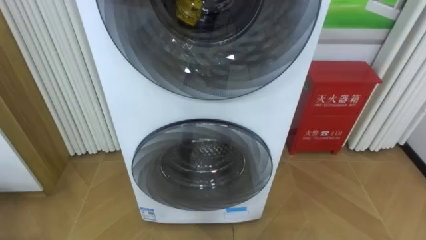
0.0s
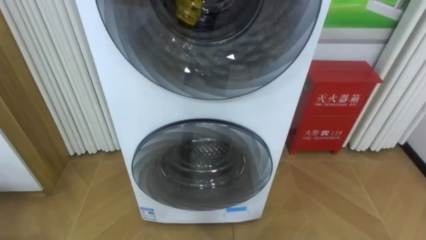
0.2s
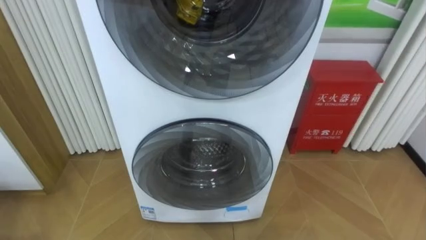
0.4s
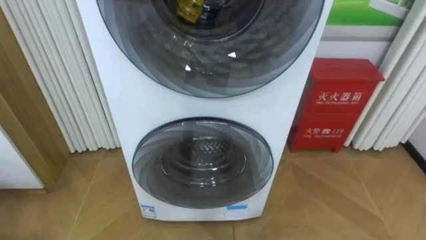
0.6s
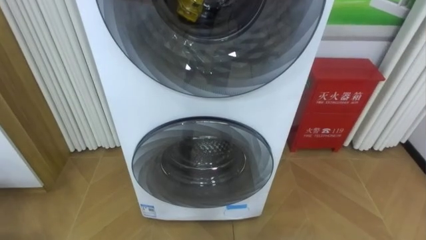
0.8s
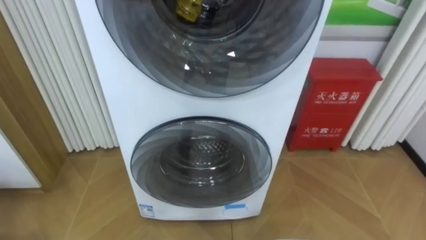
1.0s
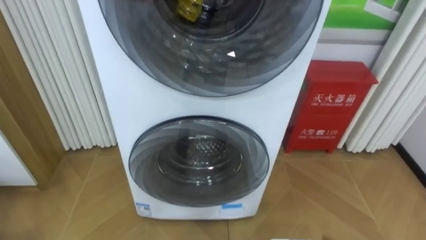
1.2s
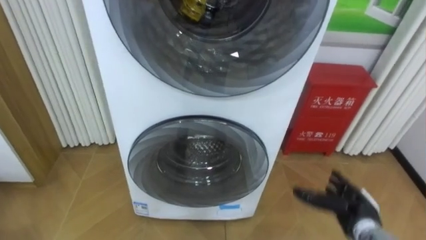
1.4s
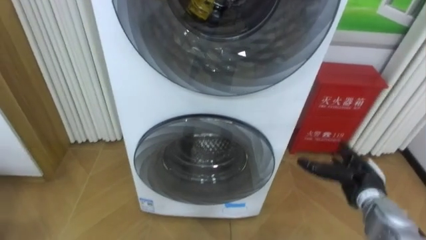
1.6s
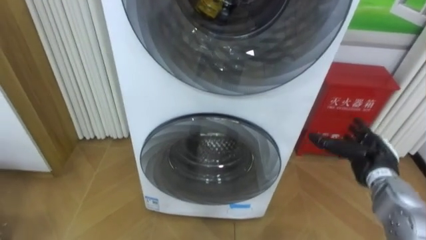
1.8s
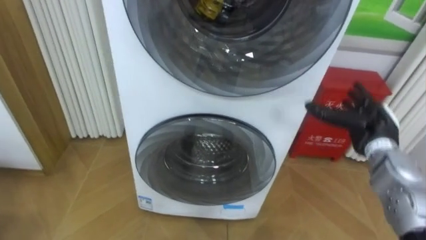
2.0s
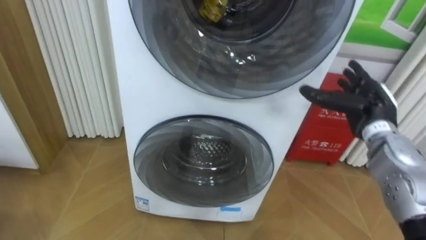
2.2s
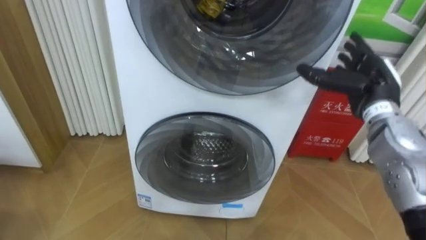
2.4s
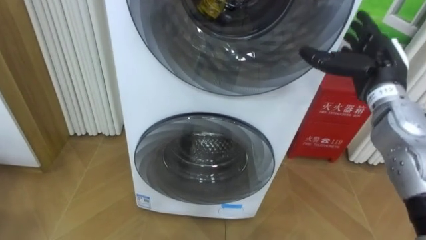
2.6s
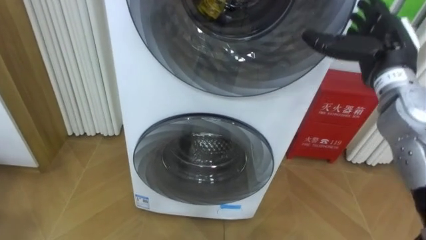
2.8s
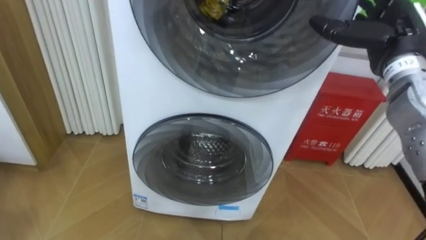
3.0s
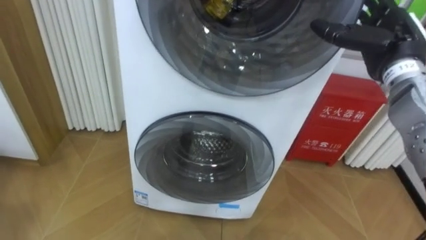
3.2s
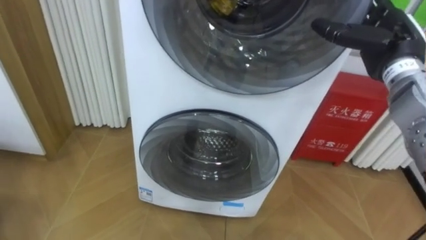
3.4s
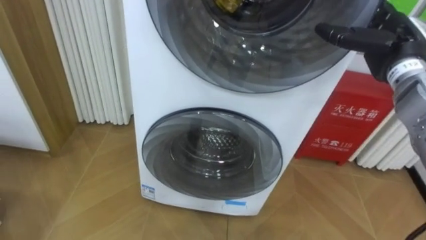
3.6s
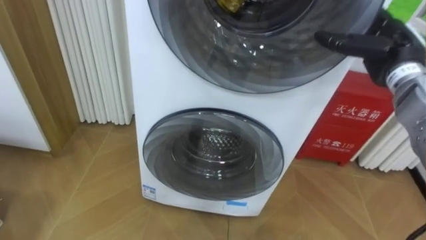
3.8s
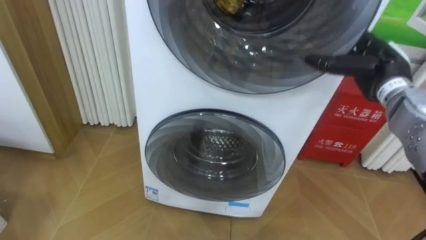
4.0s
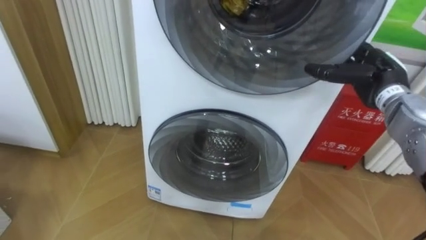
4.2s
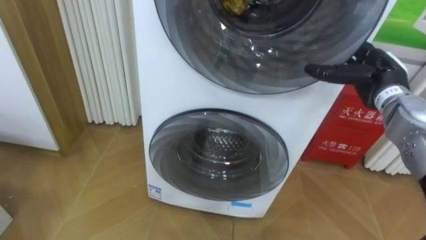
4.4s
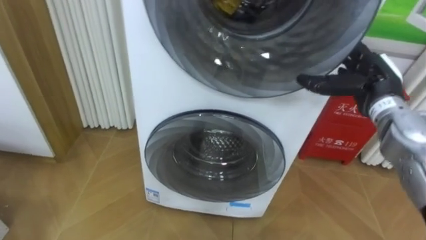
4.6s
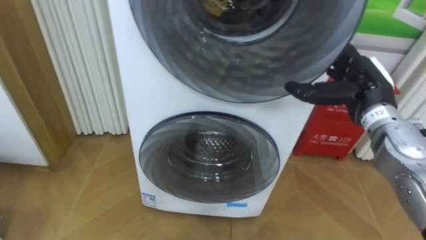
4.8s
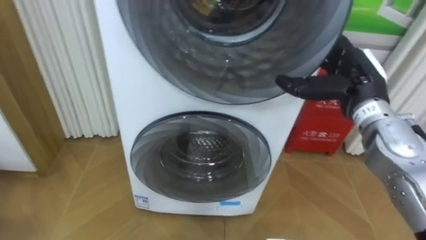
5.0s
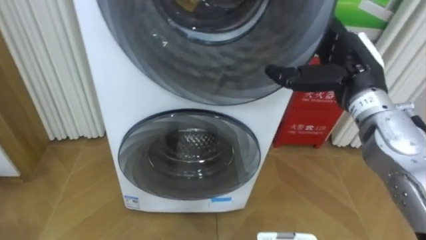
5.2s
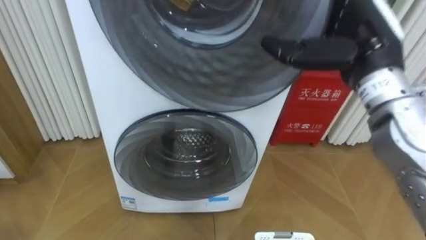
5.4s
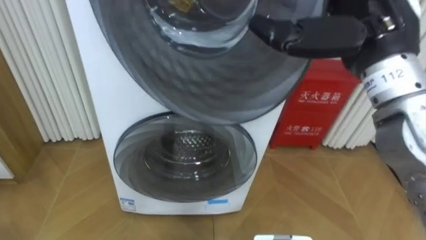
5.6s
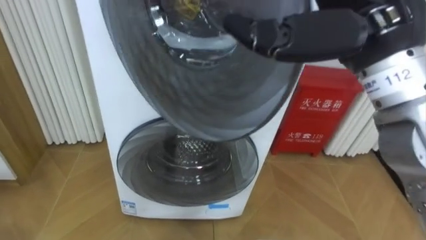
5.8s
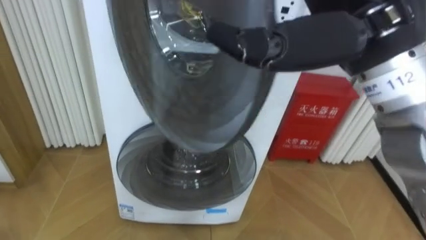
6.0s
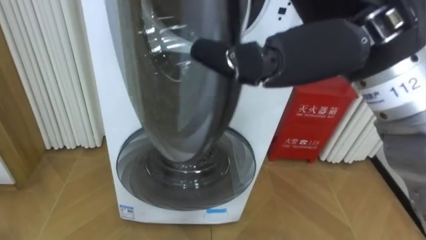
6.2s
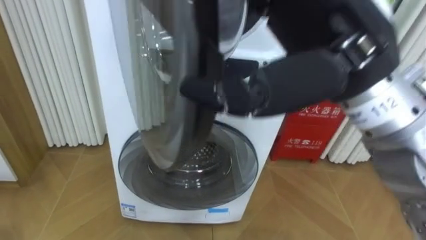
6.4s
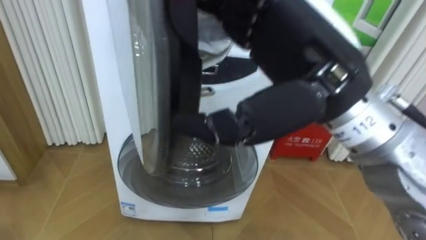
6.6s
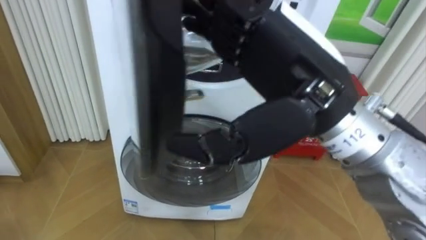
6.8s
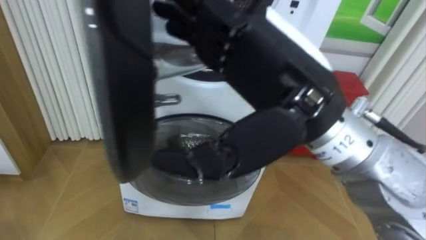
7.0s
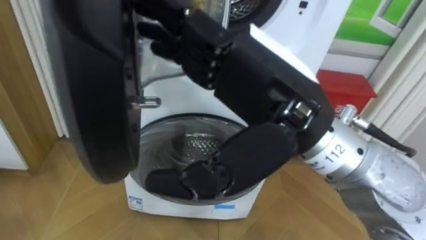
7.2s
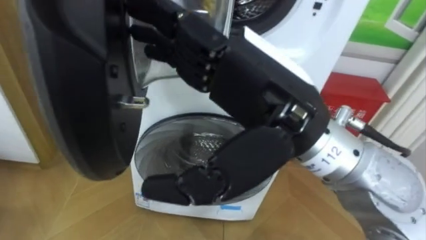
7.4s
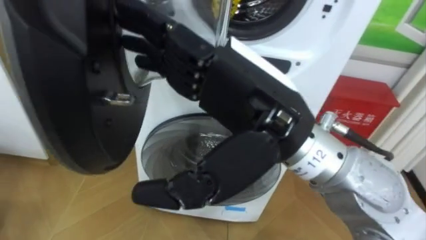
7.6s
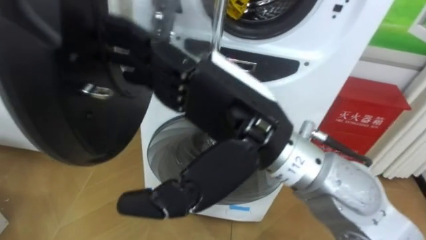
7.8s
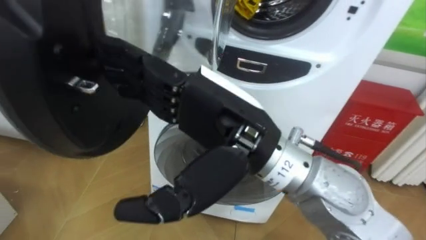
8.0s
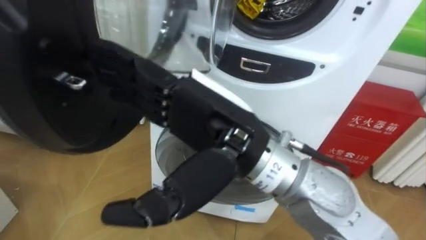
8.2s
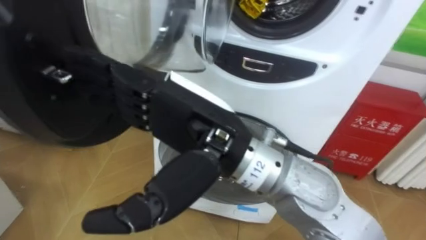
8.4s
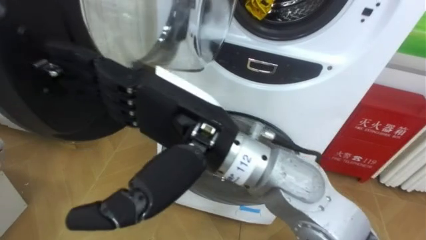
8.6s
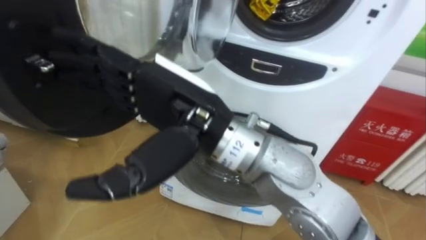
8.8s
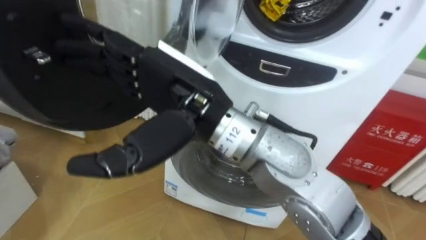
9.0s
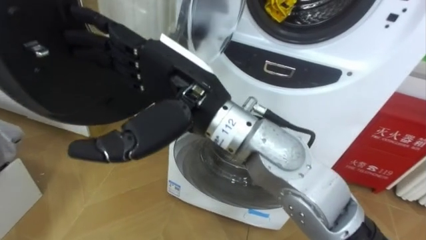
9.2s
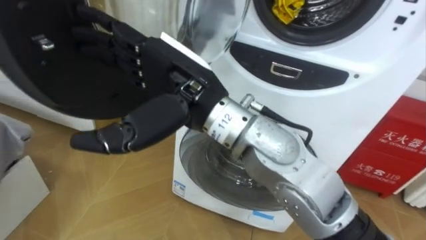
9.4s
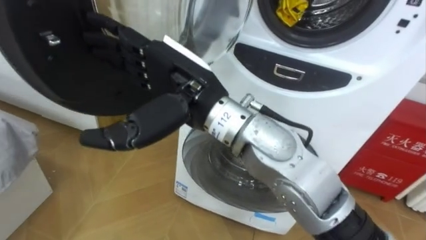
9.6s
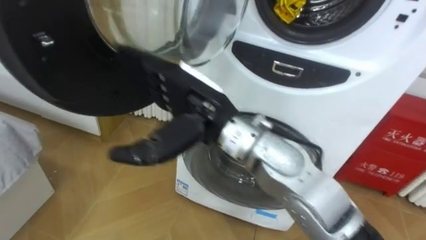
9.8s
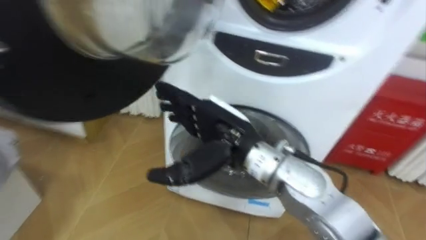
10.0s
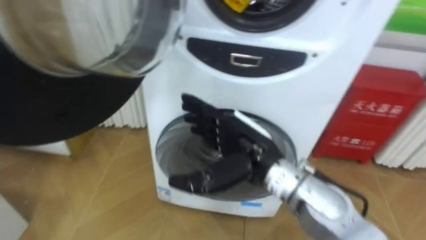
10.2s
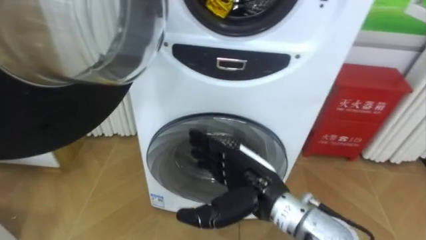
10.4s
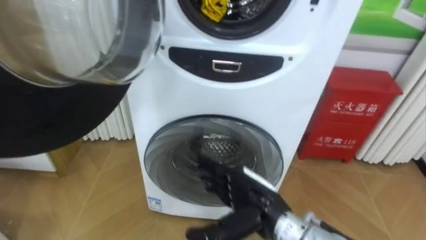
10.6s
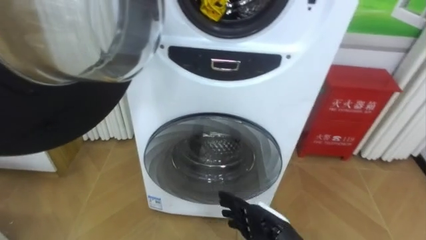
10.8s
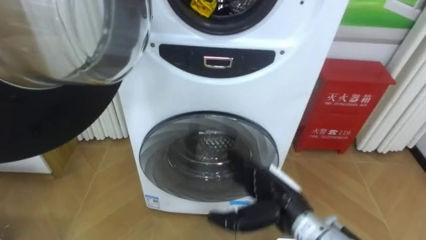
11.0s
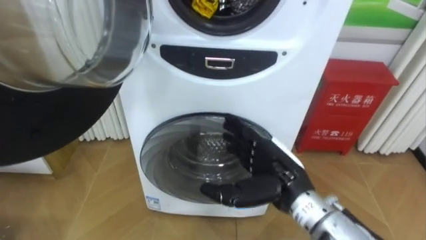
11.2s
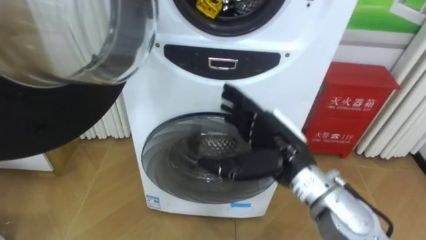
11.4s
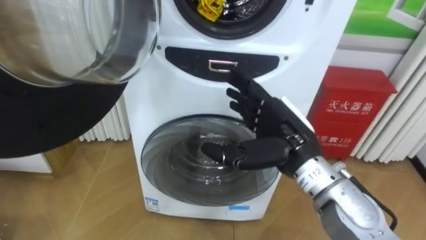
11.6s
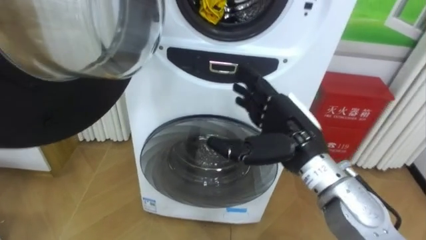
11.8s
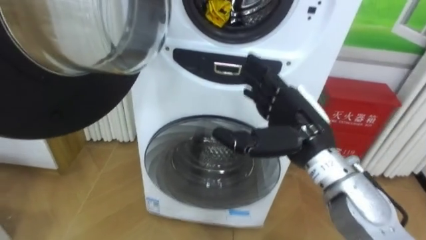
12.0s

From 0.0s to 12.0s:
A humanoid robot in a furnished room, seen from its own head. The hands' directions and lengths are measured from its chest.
Task of the whole recording: Open the washing machine door, take out the yellow clothes, place them in the box on the right, and close the washing machine door.
From 1.6s to 3.0s: The right hand goes approximately 25 cm upward.
From 3.0s to 4.4s: The right hand shifts about 10 cm downward.
From 4.4s to 6.0s: The right hand goes roughly 30 cm upward, backward and to the left.
From 6.0s to 7.6s: The right hand is displaced to the left and downward by roughly 10 cm.
From 7.6s to 9.0s: The right hand is displaced to the left by about 10 cm.
From 9.0s to 10.4s: The right hand travels downward and to the right by about 20 cm.
From 10.4s to 12.0s: The right hand goes about 10 cm upward and to the right.

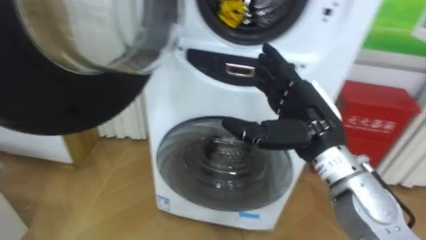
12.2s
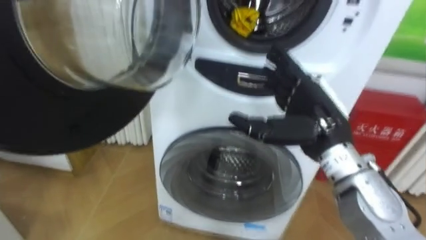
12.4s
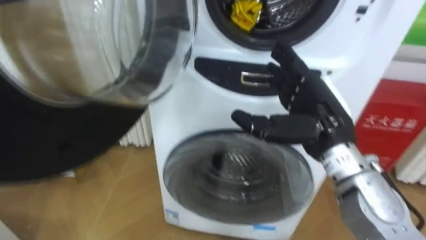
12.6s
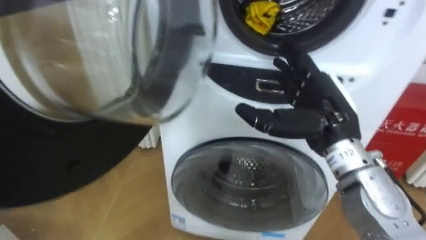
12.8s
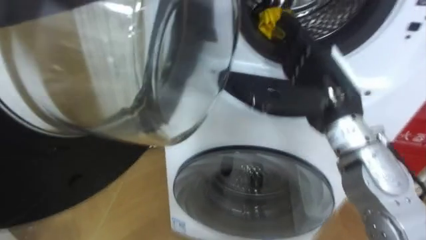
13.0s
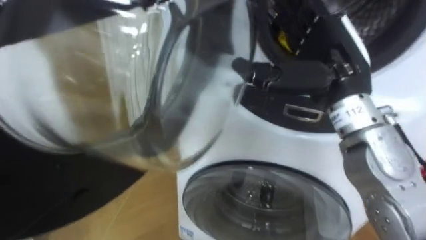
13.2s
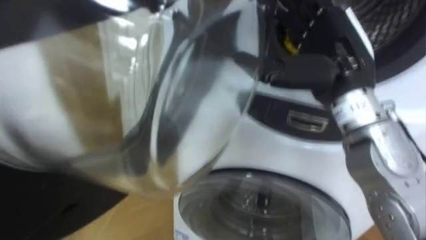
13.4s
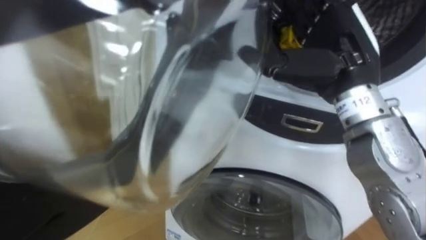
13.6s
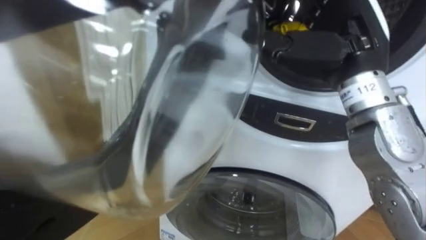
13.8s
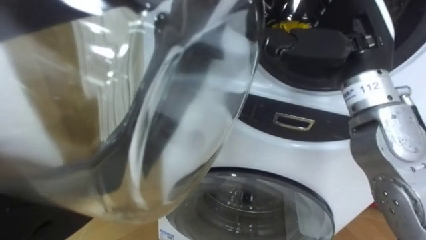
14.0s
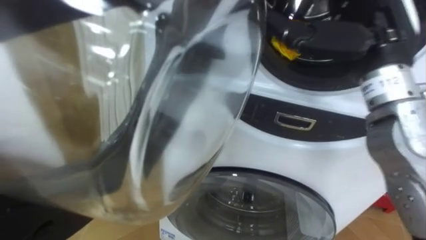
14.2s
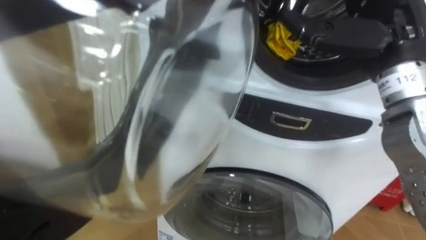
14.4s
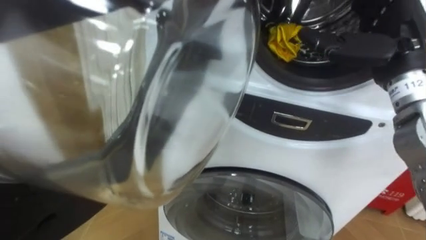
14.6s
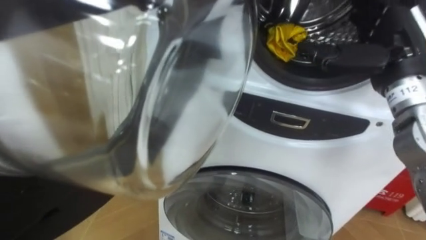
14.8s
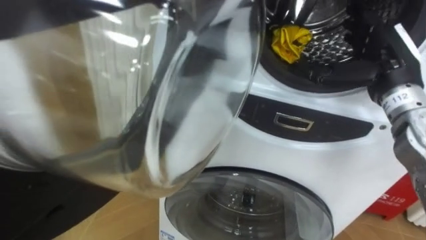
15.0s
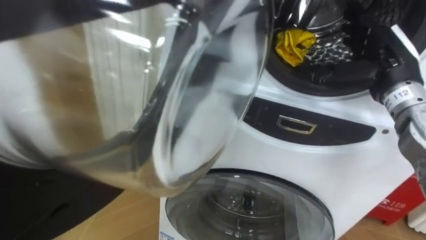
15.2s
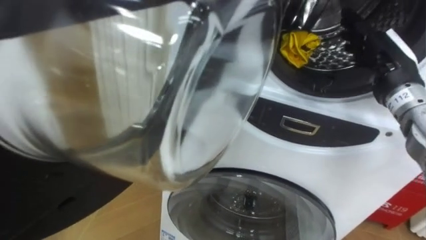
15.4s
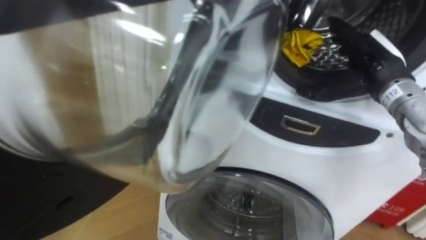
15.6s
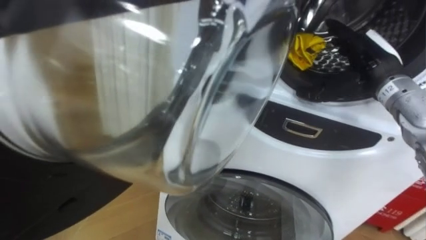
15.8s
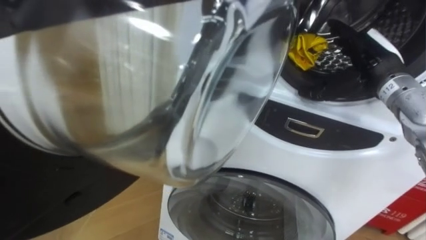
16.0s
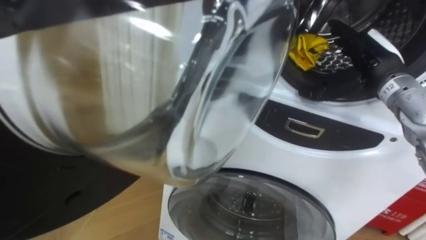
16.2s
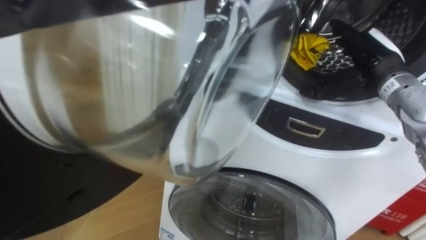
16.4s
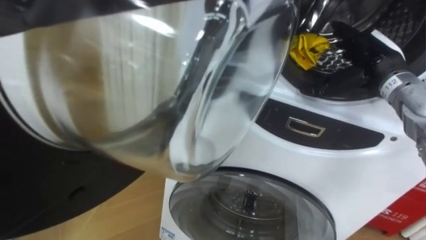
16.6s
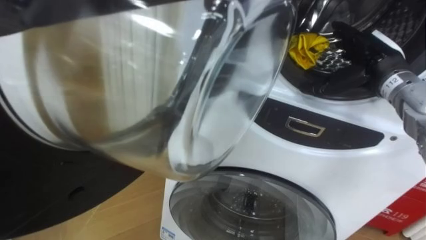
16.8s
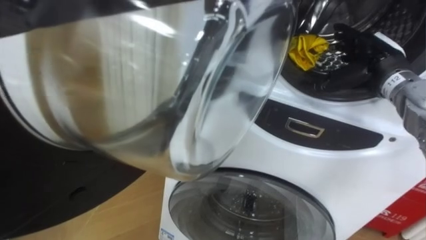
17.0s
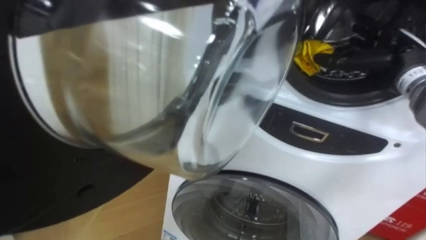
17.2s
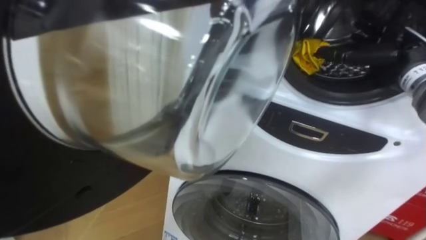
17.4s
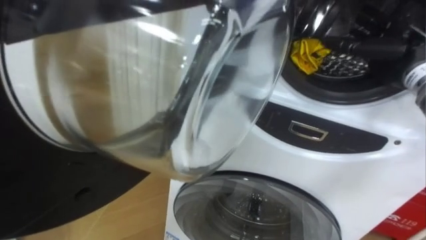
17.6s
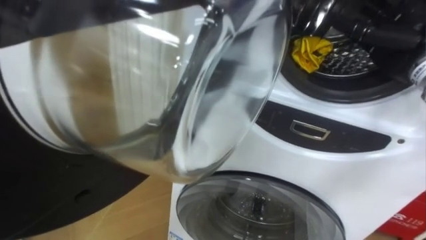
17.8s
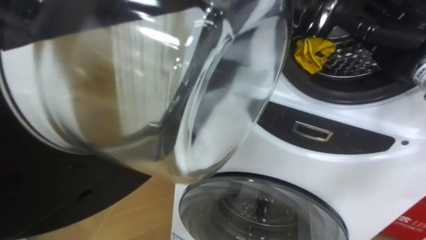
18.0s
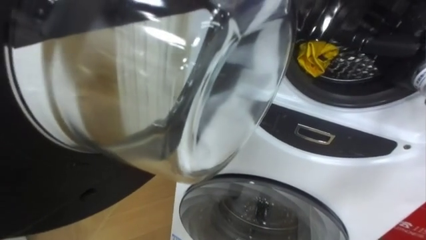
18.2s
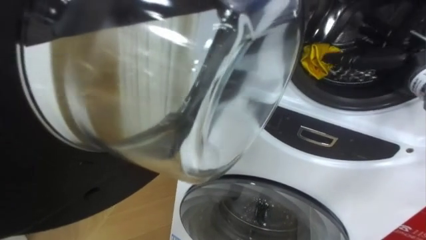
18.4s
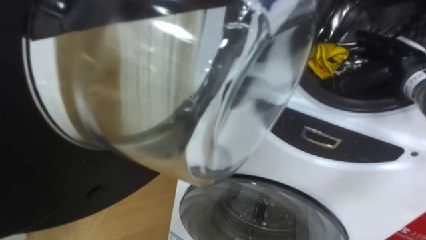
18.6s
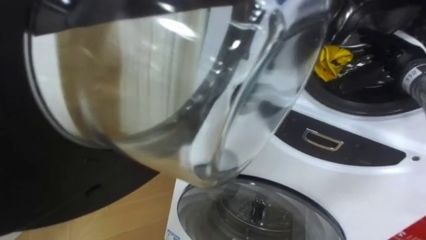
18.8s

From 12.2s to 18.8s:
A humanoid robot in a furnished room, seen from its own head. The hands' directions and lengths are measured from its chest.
Task of the whole recording: Open the washing machine door, take out the yellow clothes, place them in the box on the right, and close the washing machine door.
From 12.2s to 13.8s: The right hand is displaced upward by about 10 cm.
From 13.8s to 15.4s: The right hand goes approximately 15 cm to the right, downward and forward.
From 15.4s to 17.2s: The right hand changes place by some 5 cm.
